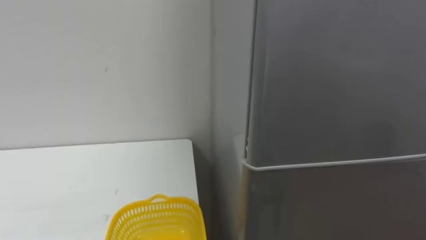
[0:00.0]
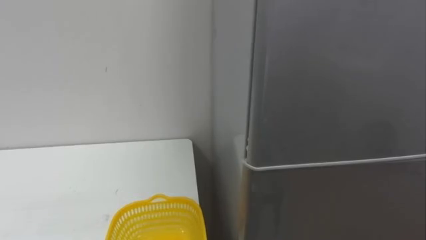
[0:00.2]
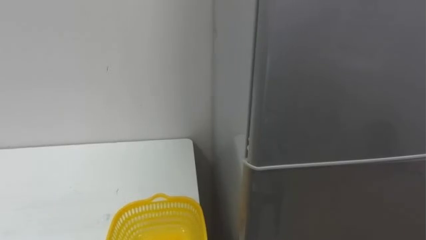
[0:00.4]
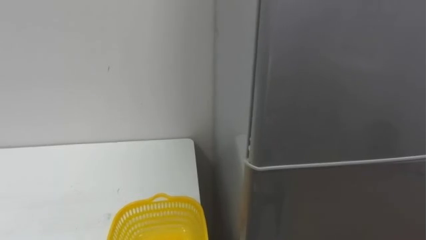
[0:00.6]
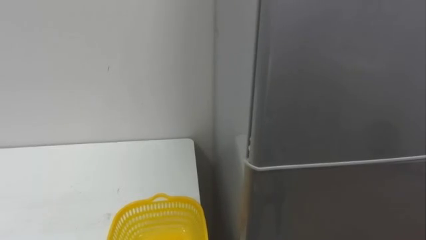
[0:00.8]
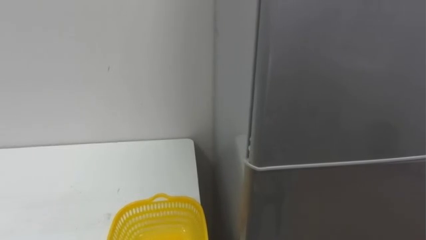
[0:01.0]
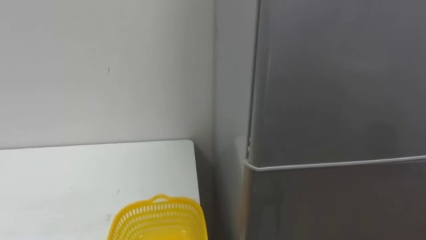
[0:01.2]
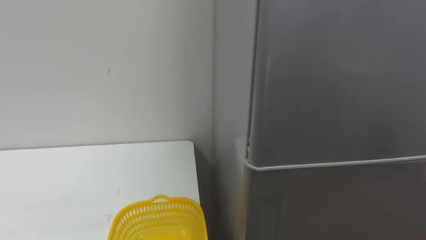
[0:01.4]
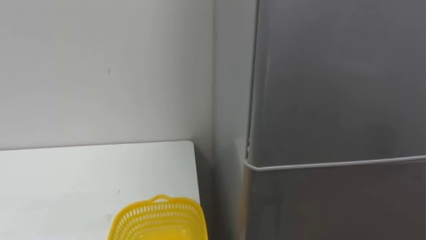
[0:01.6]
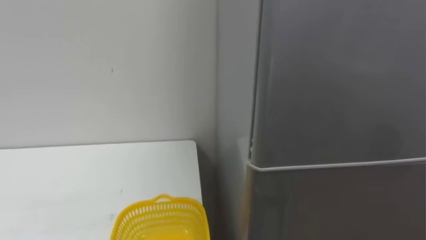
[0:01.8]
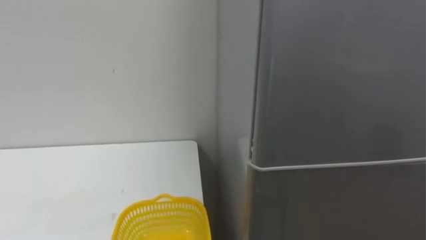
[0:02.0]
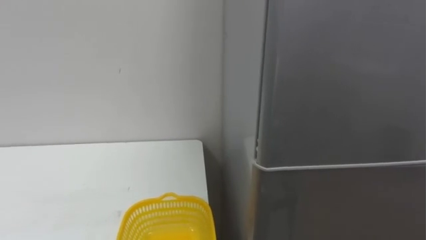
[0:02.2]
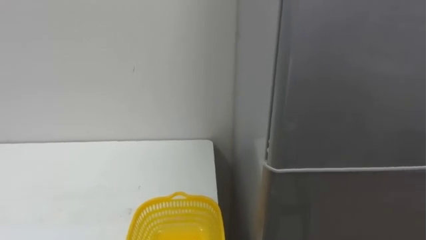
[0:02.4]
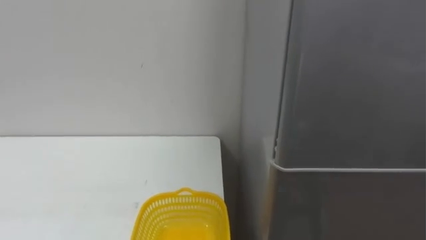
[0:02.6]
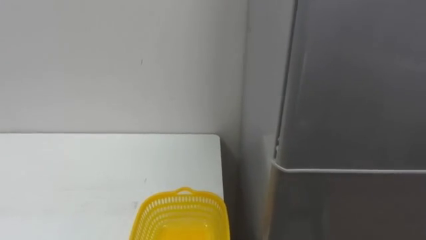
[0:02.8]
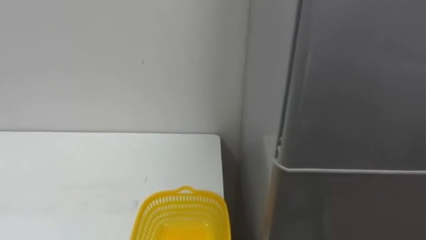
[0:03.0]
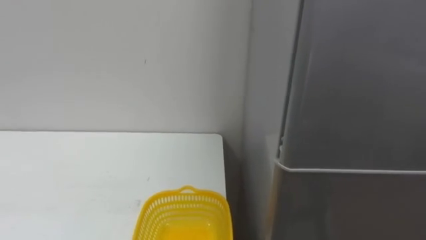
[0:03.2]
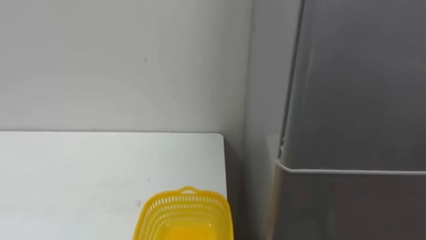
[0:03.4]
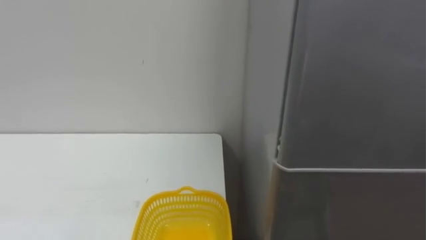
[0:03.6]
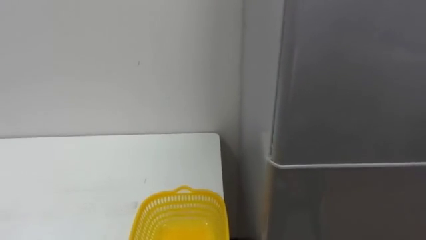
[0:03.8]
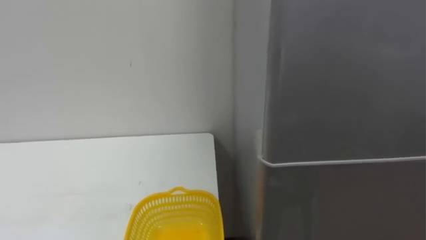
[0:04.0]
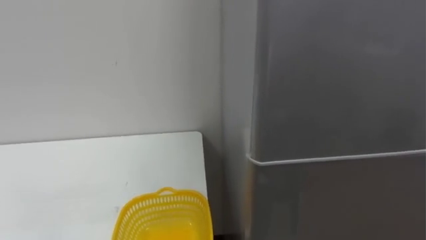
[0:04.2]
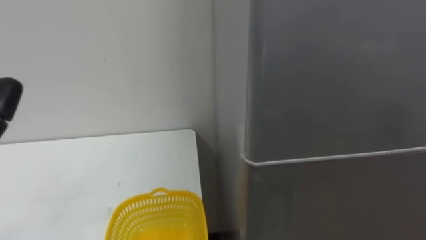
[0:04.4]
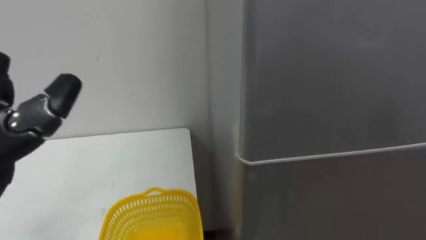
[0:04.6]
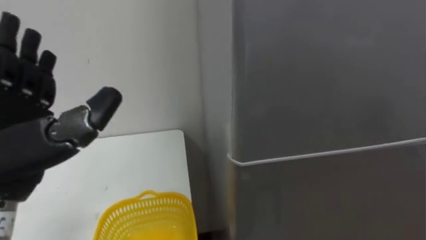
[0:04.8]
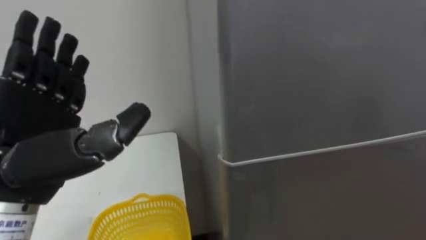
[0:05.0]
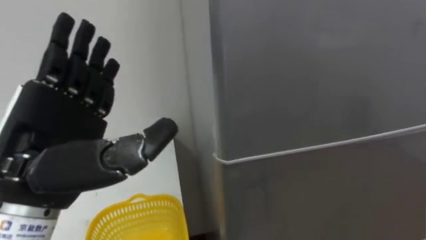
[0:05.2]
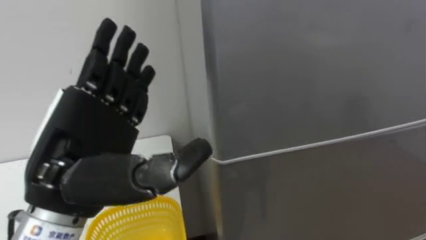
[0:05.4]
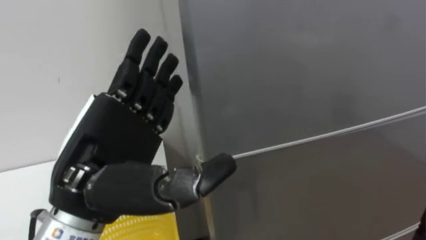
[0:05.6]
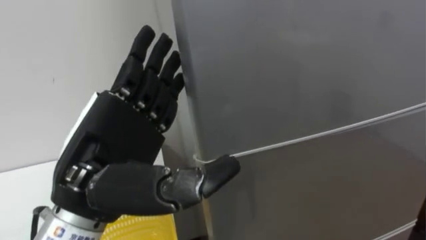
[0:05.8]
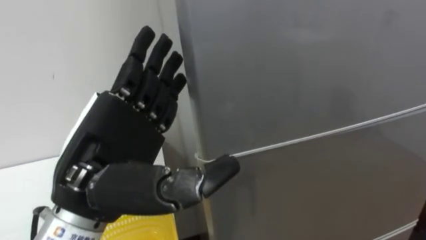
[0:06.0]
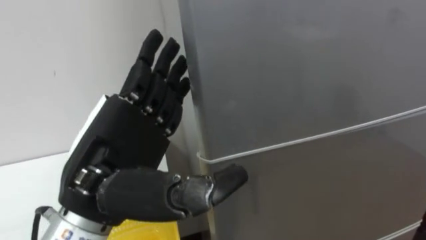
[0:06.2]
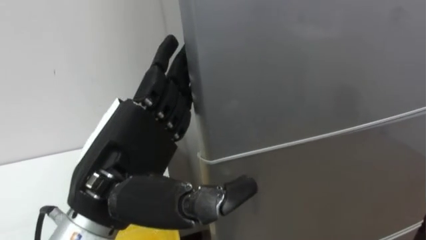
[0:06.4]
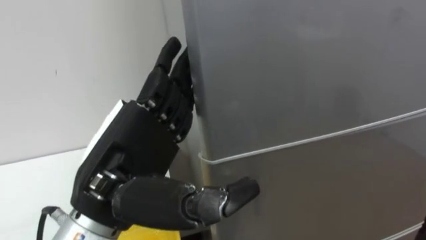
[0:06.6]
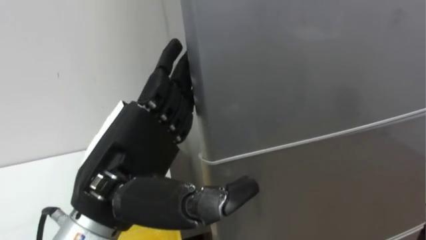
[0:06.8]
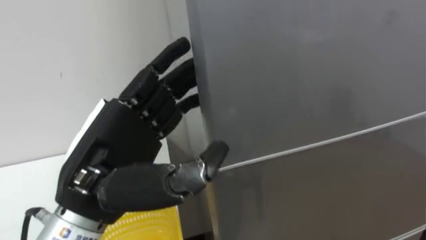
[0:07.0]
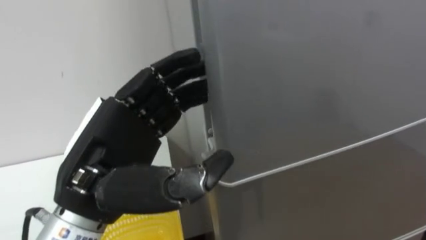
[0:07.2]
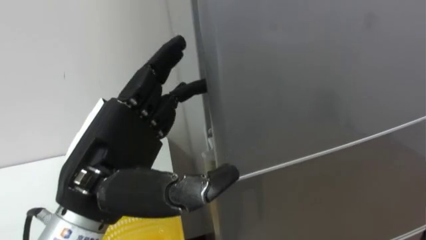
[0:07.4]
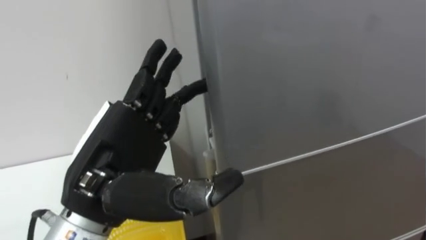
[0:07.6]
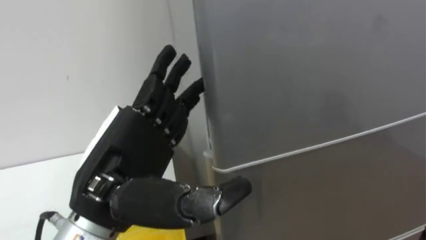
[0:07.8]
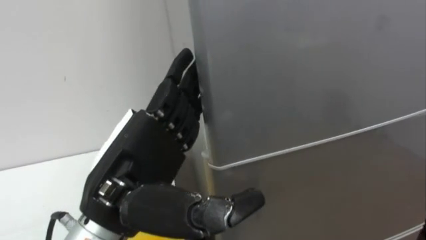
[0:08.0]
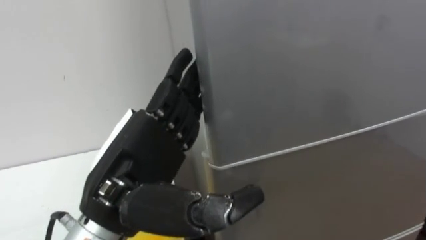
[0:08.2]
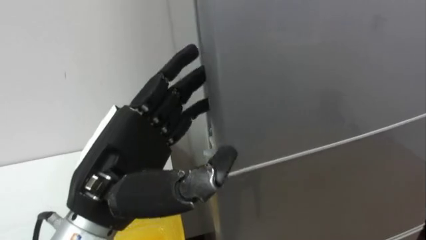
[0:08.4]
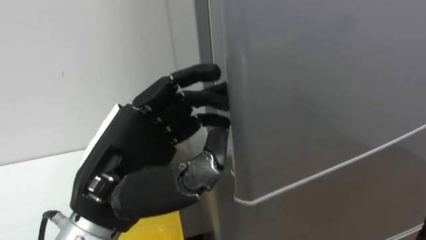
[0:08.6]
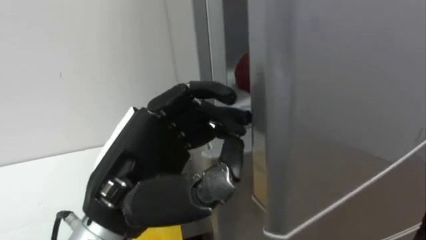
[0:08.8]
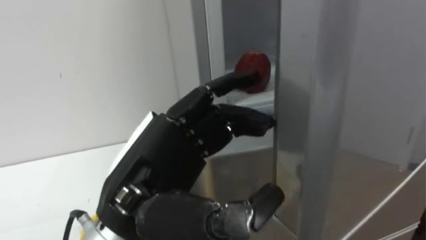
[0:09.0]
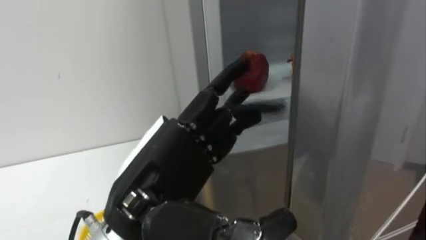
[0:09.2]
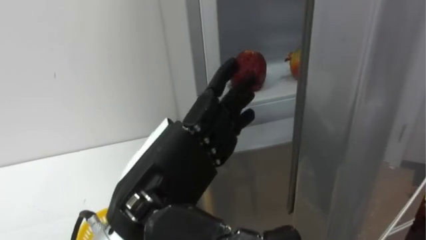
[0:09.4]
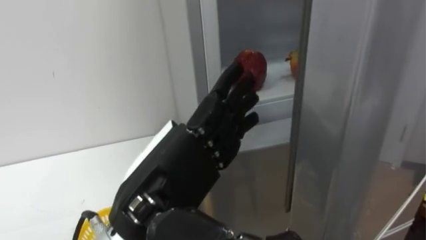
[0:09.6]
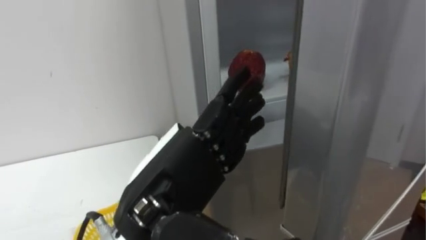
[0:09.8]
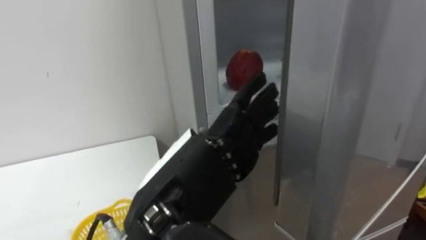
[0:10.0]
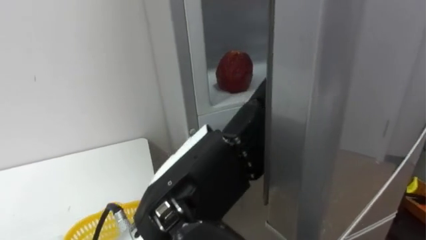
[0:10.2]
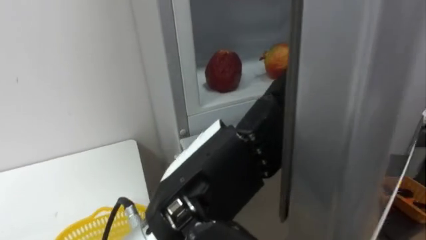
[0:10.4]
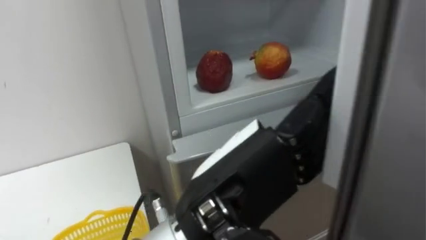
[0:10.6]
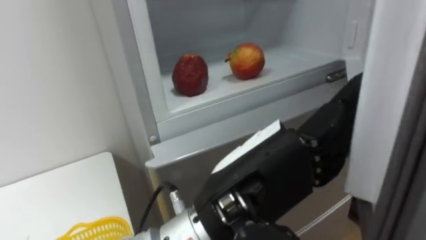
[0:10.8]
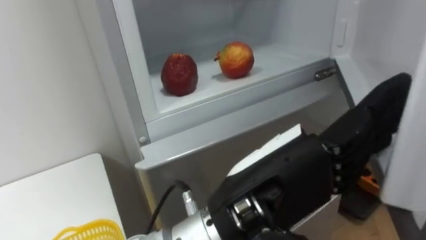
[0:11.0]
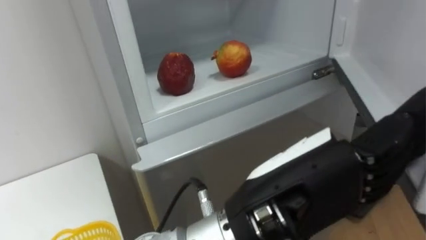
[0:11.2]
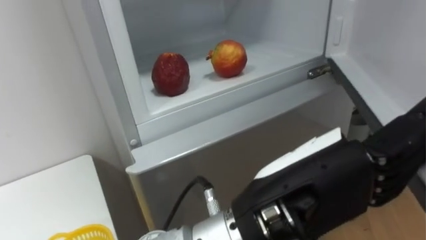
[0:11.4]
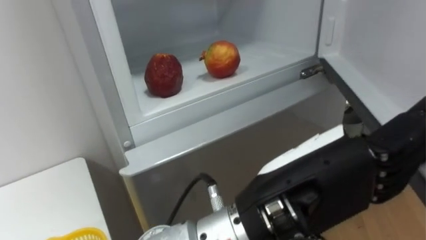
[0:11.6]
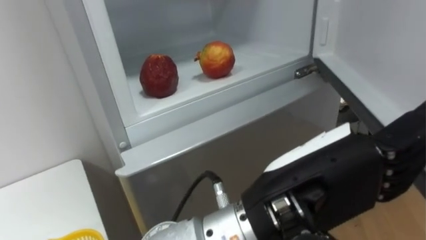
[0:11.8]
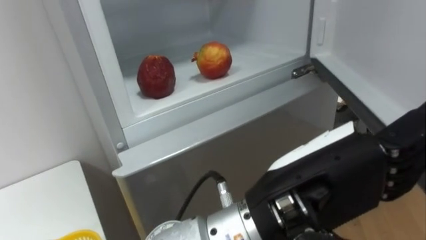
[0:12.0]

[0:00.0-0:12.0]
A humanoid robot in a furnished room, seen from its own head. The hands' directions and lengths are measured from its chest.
Task of the whole recording: Open the refrigerator door, take out the apple and the pomegranate, place them in the fruit basket on the left, and close the refrigerator door.
0:09.0 to 0:10.4: The left hand shifts some 5 cm to the right.
0:10.4 to 0:12.0: The left hand is displaced to the right by approximately 10 cm.

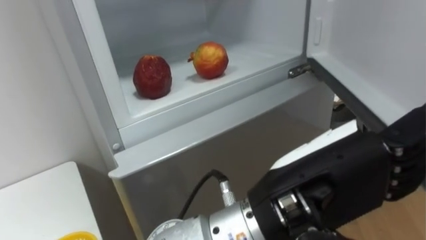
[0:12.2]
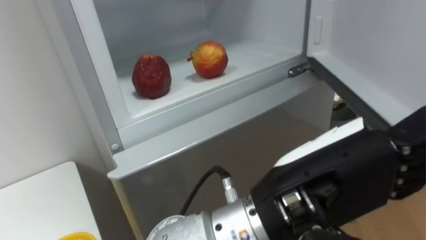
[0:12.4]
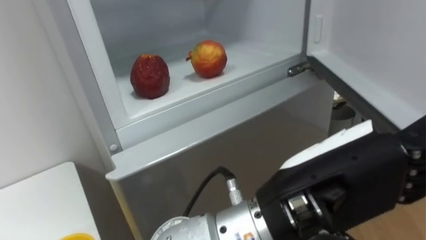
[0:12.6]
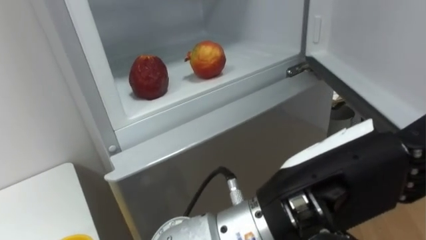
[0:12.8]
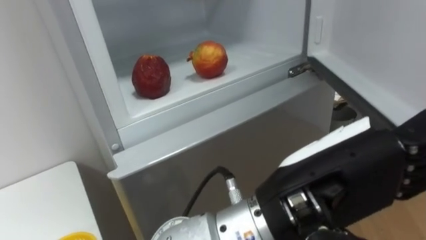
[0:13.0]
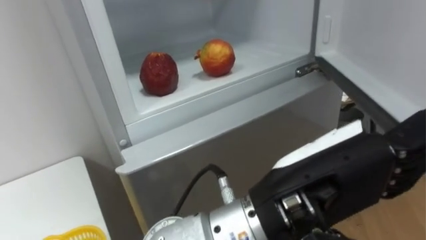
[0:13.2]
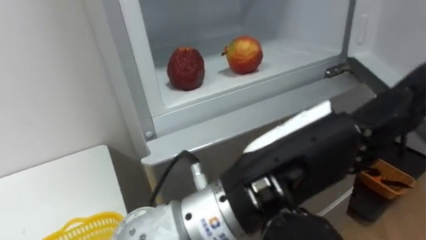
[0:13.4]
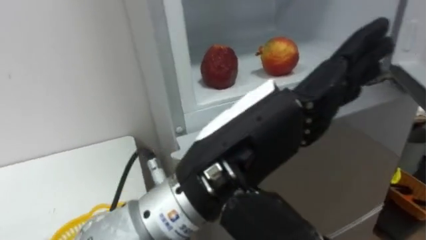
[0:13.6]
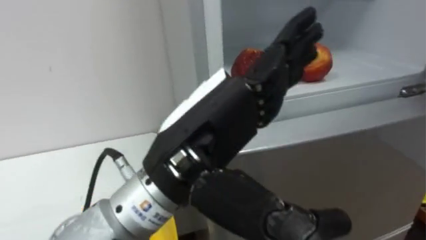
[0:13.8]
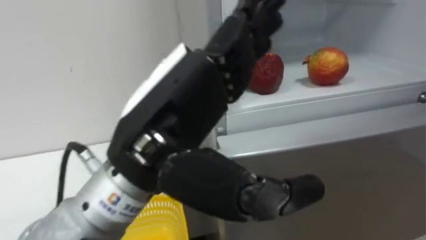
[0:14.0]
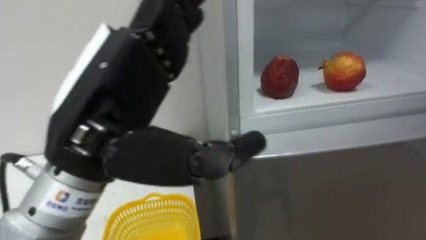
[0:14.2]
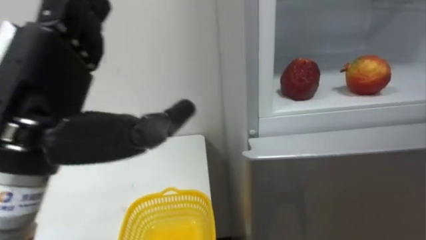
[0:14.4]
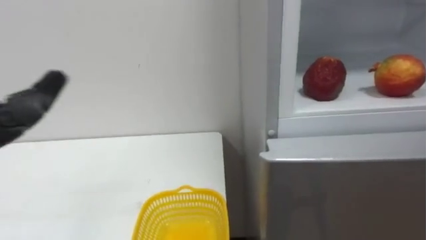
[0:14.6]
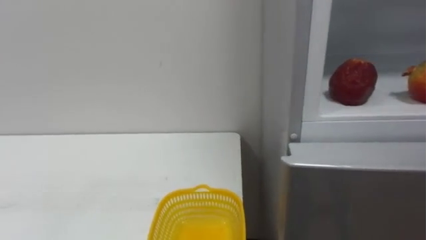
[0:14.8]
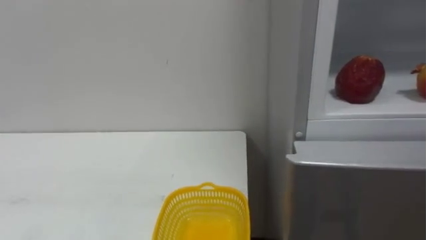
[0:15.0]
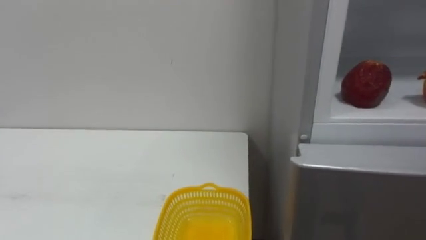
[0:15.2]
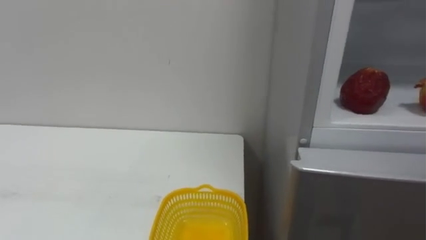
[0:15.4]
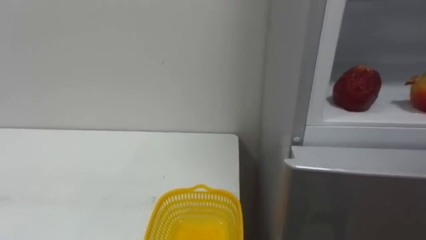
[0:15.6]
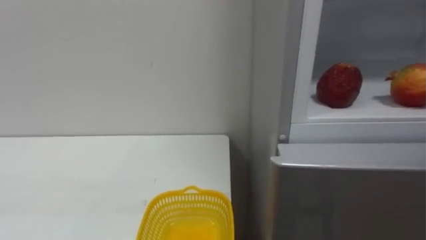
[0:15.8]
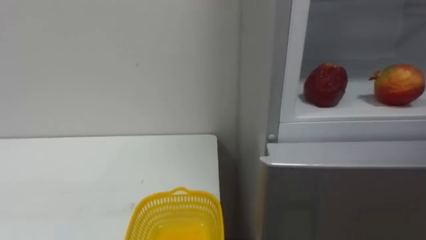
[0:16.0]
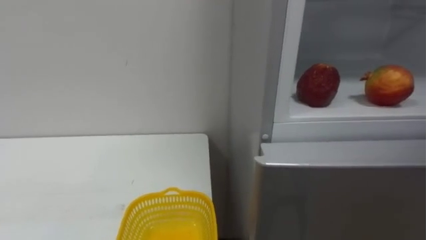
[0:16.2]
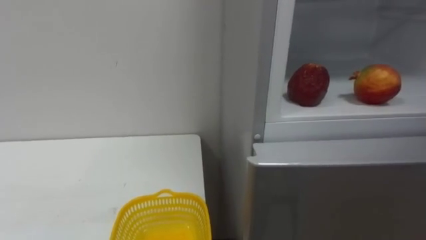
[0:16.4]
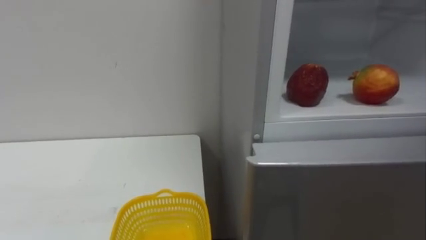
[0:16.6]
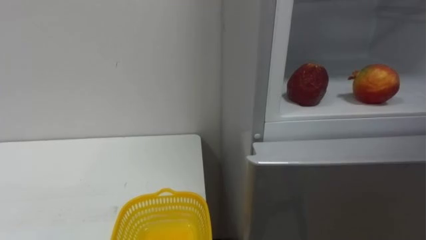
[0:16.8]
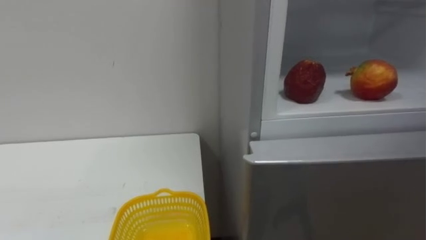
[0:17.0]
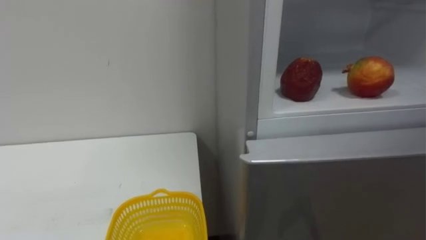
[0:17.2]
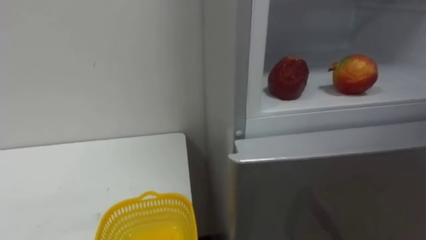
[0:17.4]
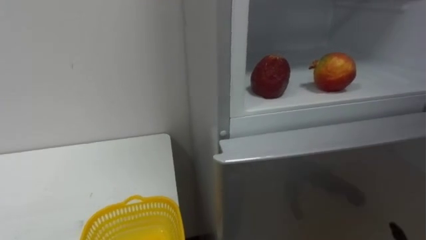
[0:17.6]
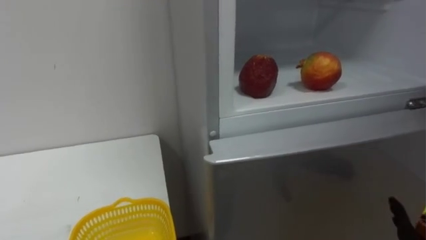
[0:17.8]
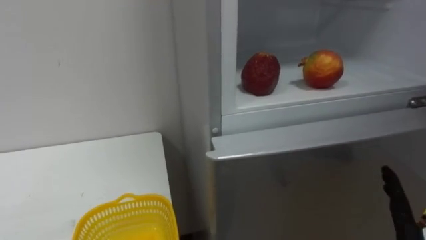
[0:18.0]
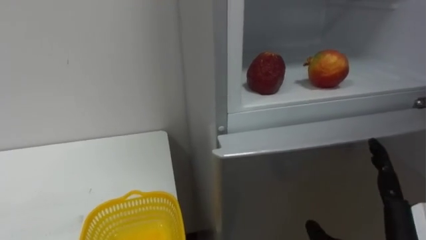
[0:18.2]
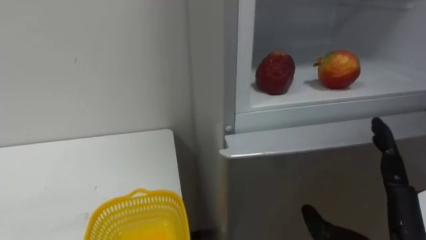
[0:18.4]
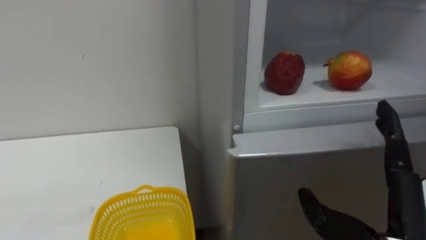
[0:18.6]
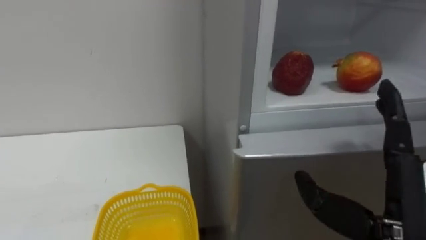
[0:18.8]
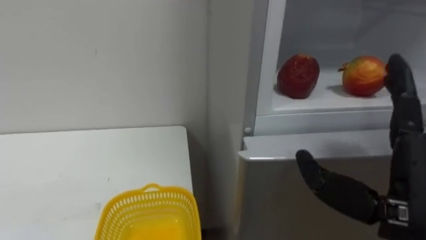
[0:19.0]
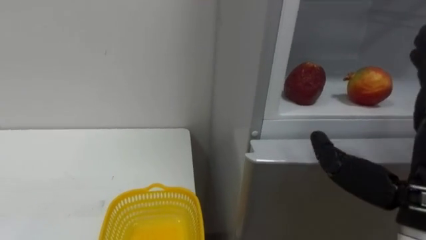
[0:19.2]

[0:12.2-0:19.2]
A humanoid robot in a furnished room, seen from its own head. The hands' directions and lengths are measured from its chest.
Task of the whole recording: Open the refrigerator door, take out the apple and the pomegranate, place them in the fruit basket on the left, and close the refrigerator door.
0:12.2 to 0:13.6: The left hand shifts approximately 5 cm to the left.
